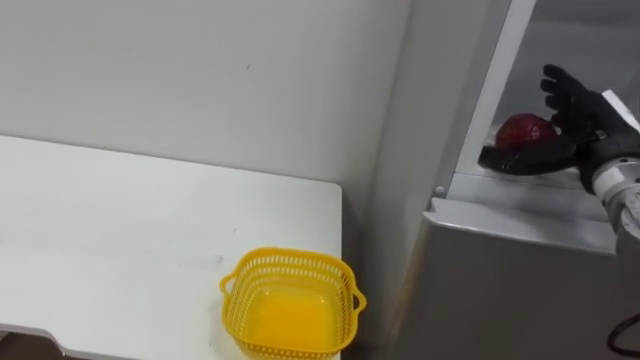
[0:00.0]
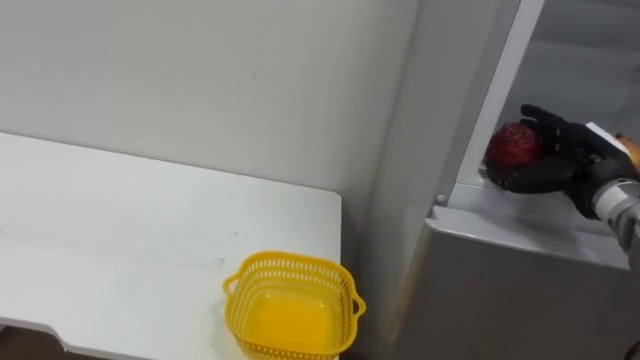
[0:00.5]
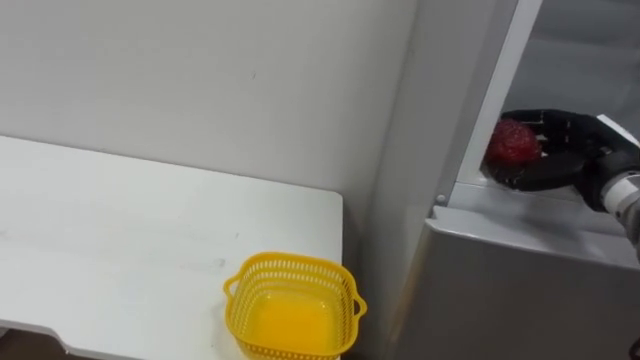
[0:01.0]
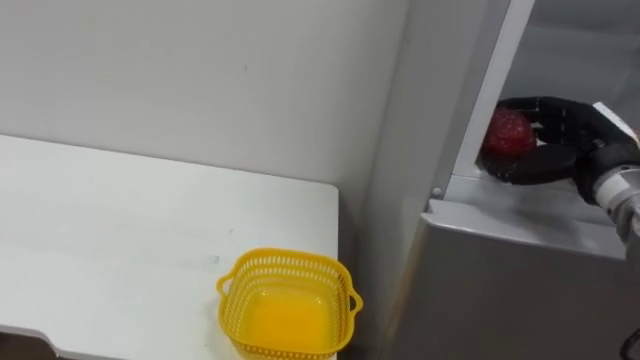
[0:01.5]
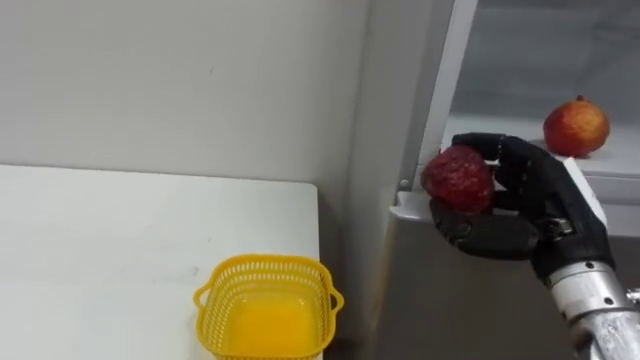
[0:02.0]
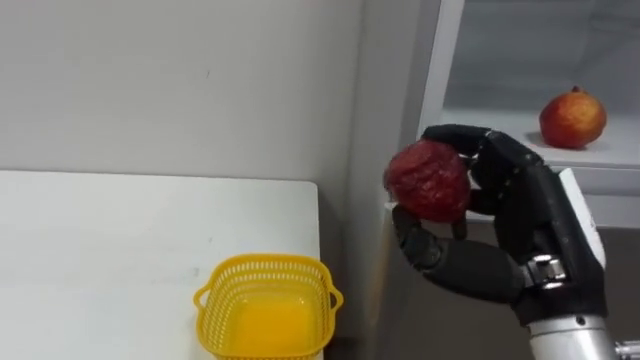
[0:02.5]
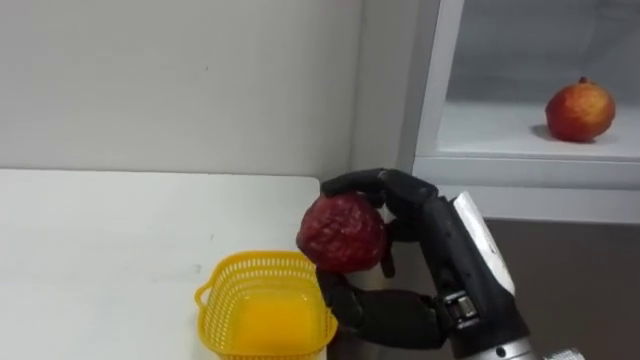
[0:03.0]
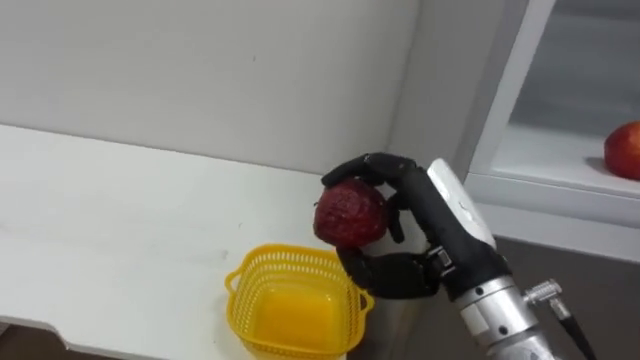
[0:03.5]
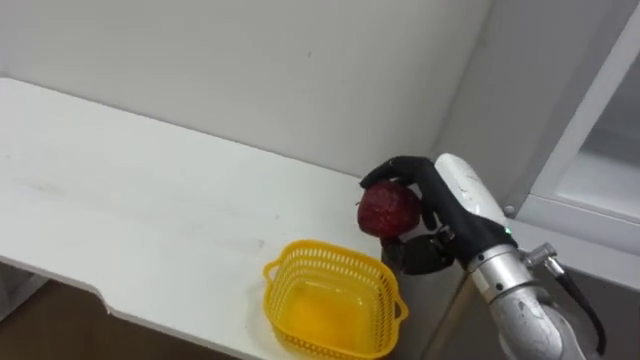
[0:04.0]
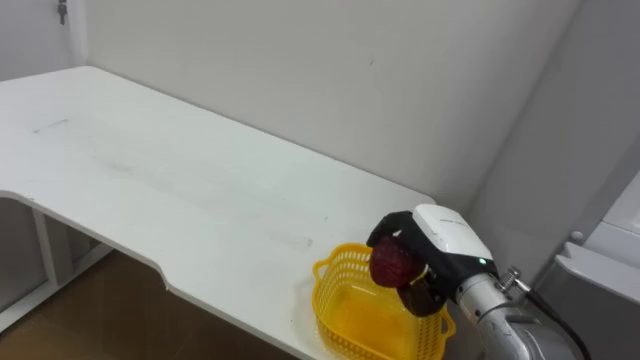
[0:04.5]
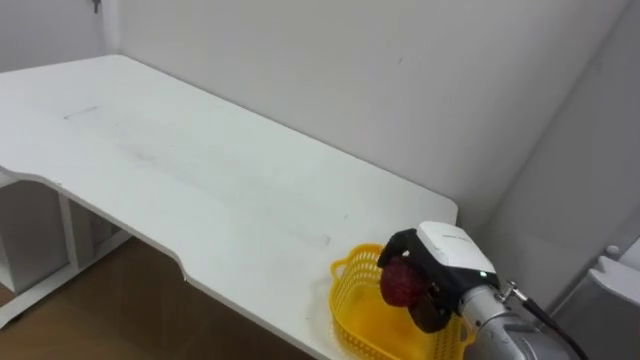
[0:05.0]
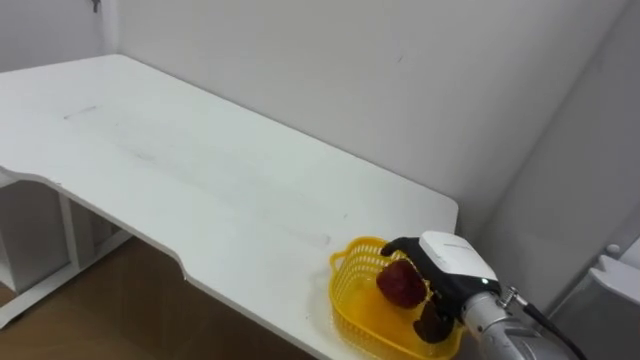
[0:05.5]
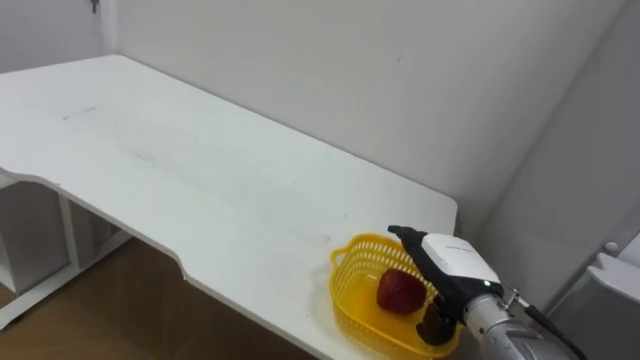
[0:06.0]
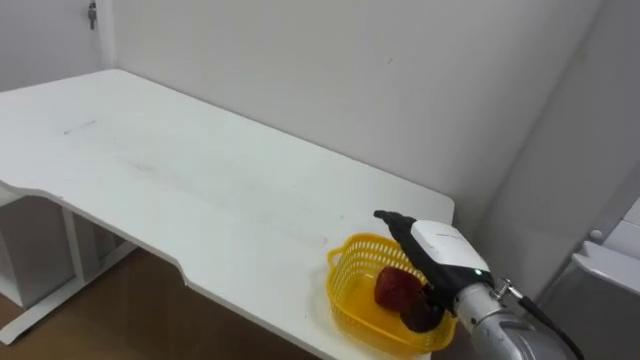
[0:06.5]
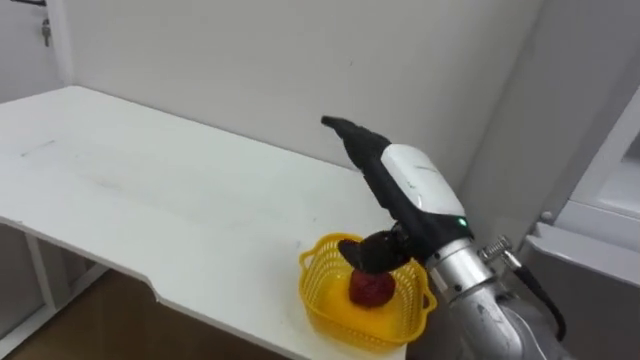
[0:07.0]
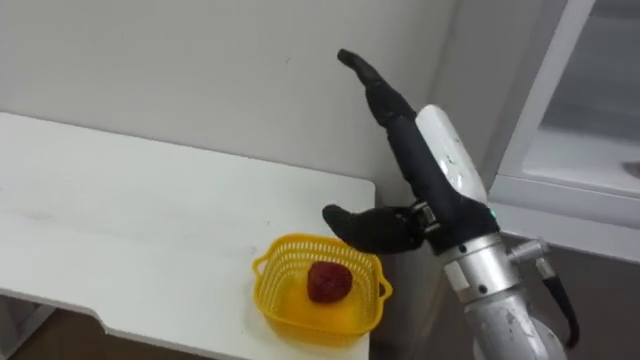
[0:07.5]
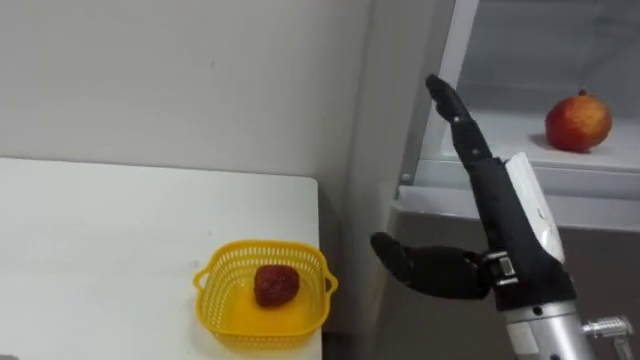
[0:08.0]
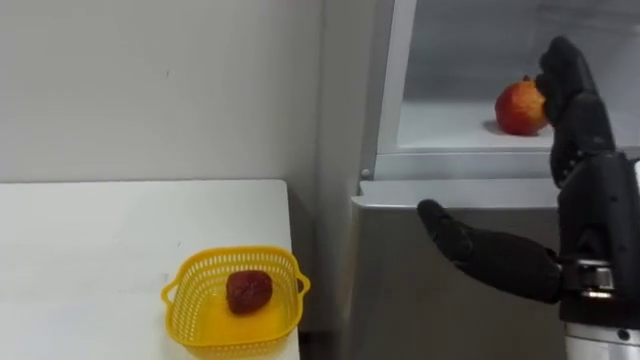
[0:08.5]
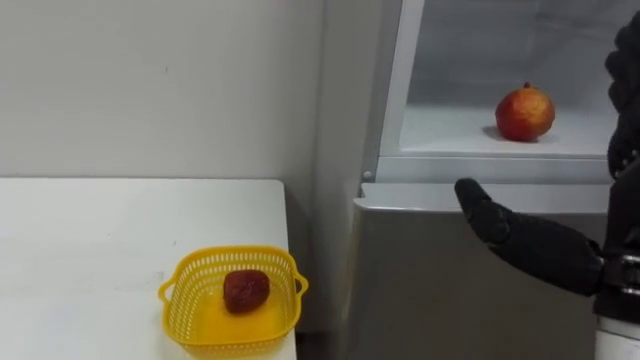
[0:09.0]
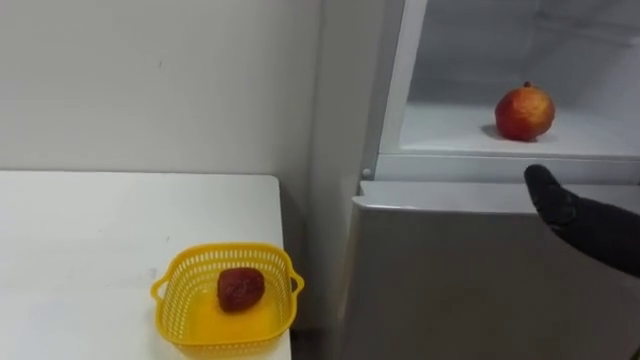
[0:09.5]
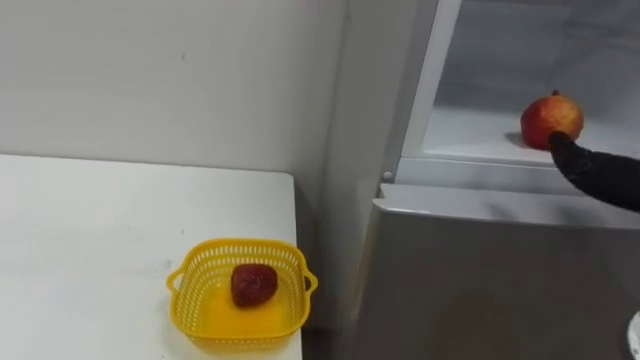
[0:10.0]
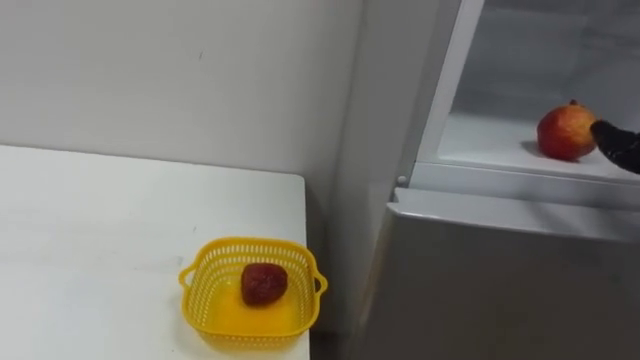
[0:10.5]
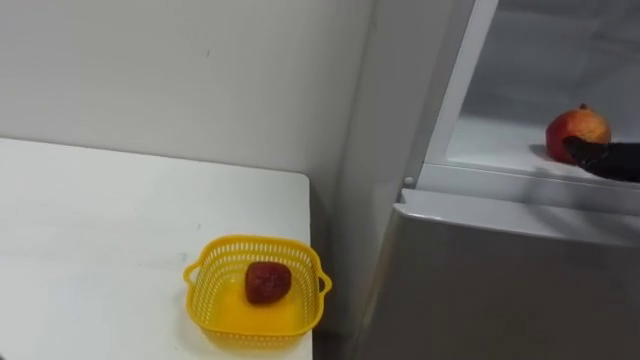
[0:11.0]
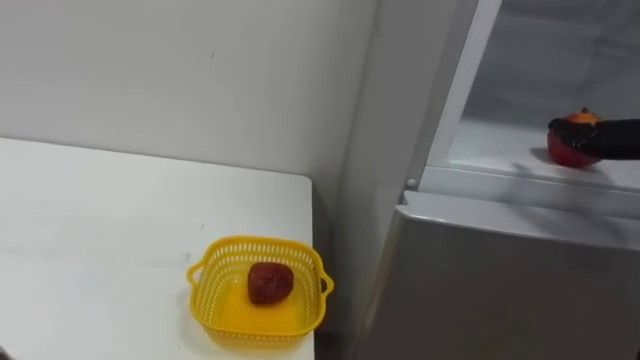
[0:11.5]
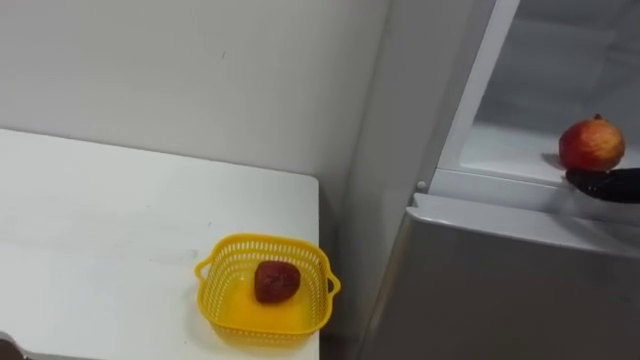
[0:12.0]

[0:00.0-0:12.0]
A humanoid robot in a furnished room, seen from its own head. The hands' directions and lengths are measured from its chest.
Task of the whole recording: Open the refrigerator door, take out the apple and the pomegranate, place them in the fruit basket on the left, and close the refrigerator door.
0:00.0 to 0:02.0: The right hand shifts some 10 cm backward and to the left, and closes up.
0:02.0 to 0:04.0: The right hand shifts roughly 10 cm to the left.
0:04.0 to 0:06.0: The right hand moves downward, approximately 10 cm, and opens its fingers.
0:06.0 to 0:08.0: The right hand travels upward and backward by roughly 20 cm.

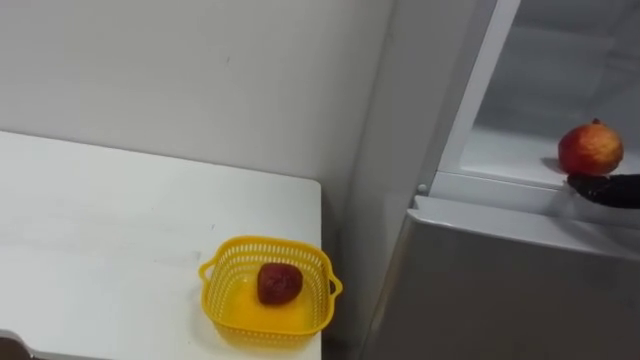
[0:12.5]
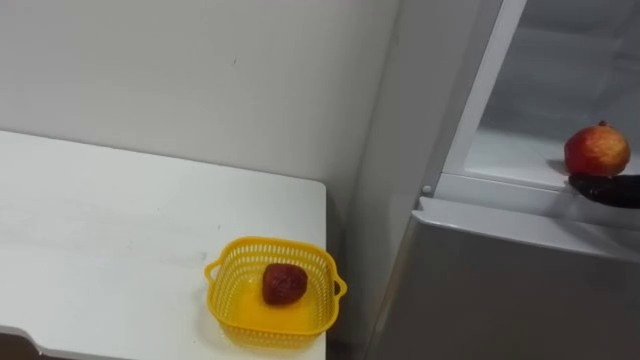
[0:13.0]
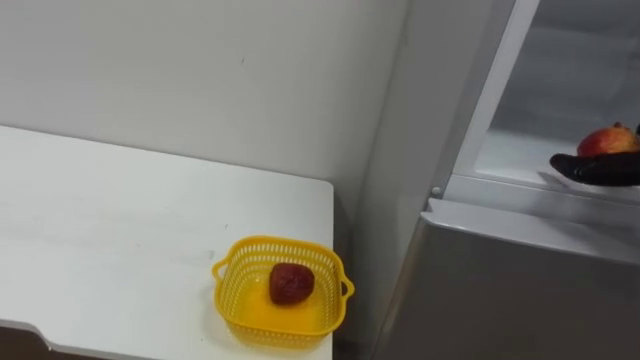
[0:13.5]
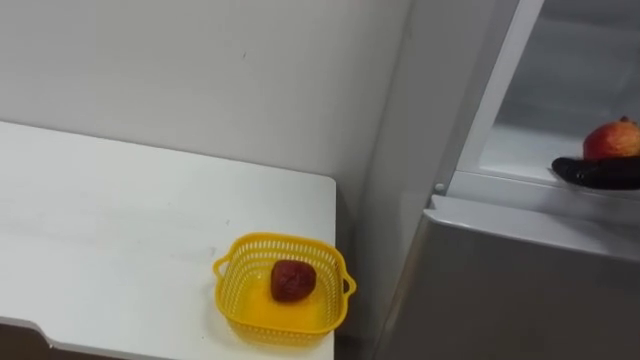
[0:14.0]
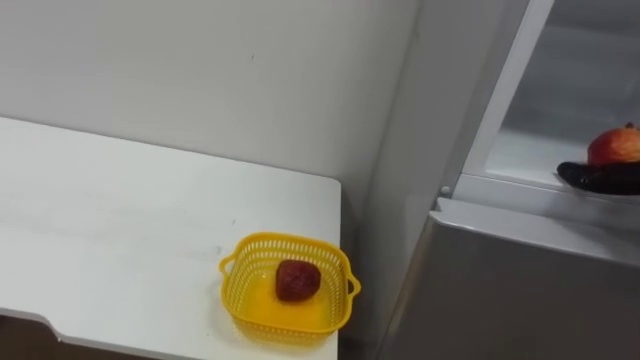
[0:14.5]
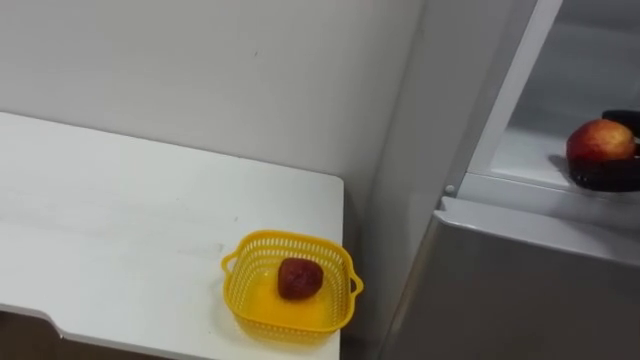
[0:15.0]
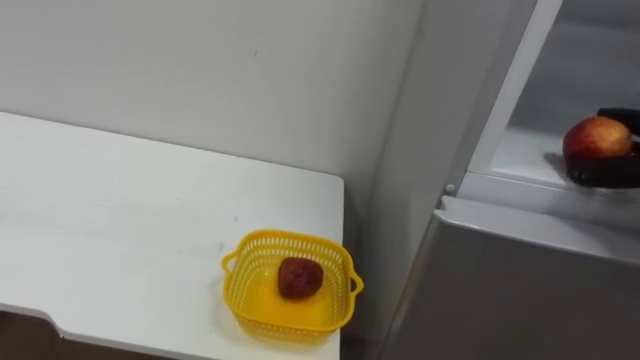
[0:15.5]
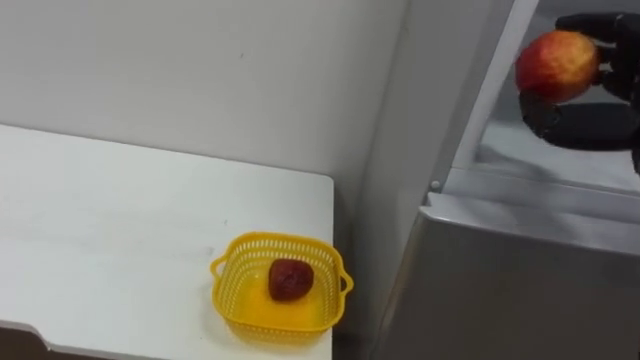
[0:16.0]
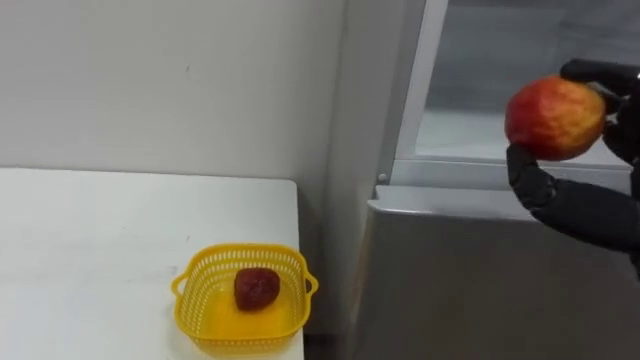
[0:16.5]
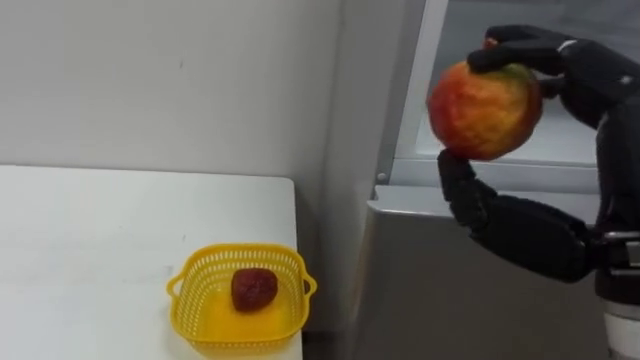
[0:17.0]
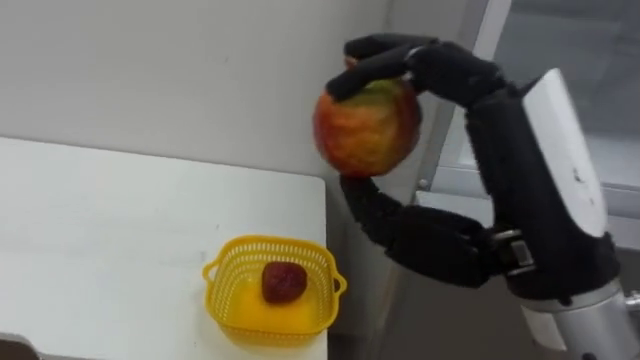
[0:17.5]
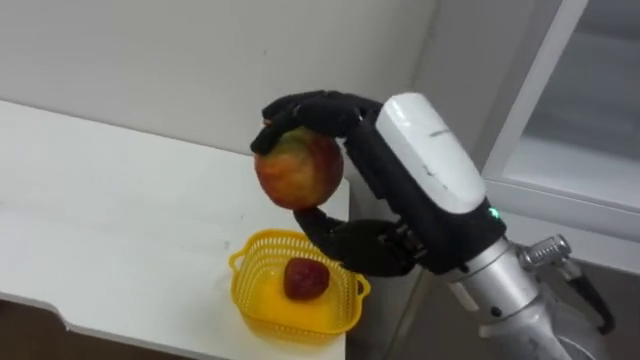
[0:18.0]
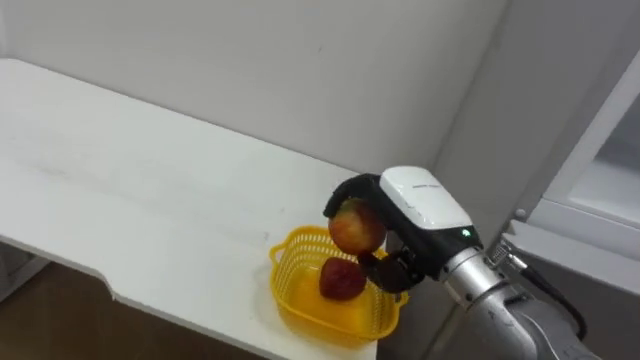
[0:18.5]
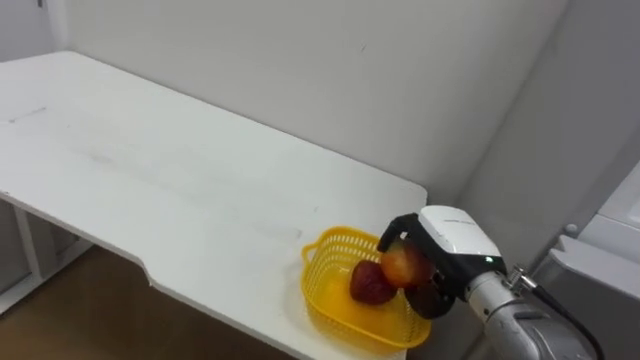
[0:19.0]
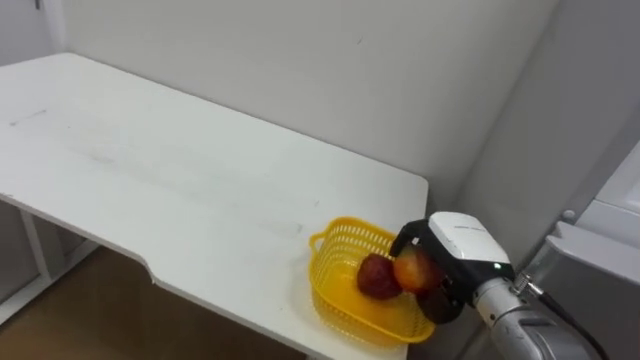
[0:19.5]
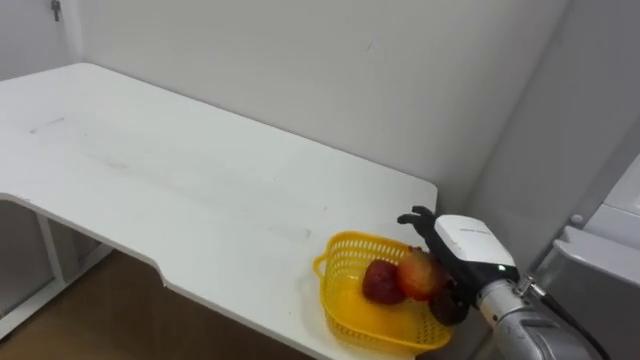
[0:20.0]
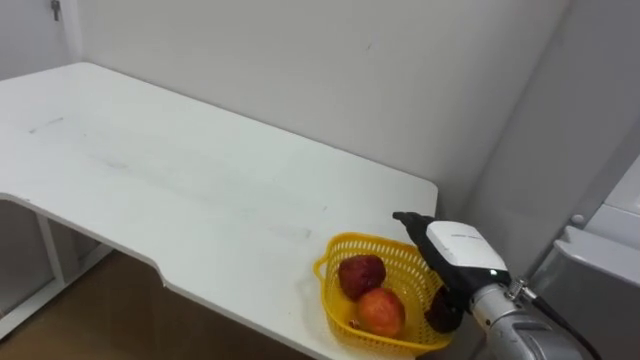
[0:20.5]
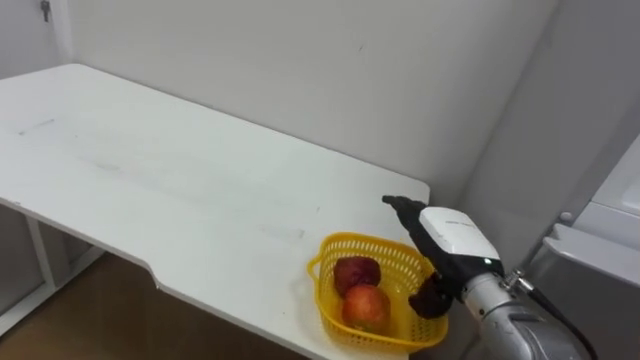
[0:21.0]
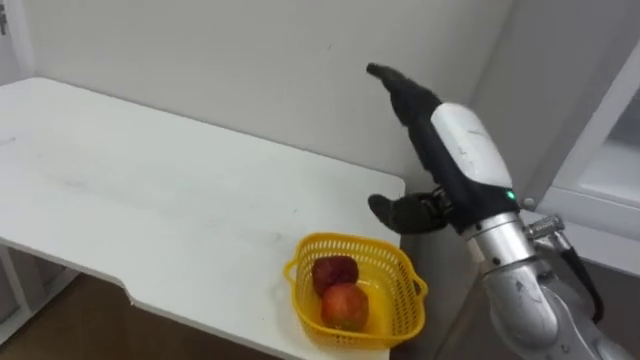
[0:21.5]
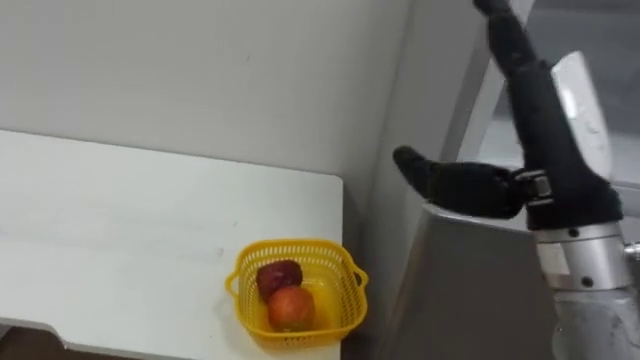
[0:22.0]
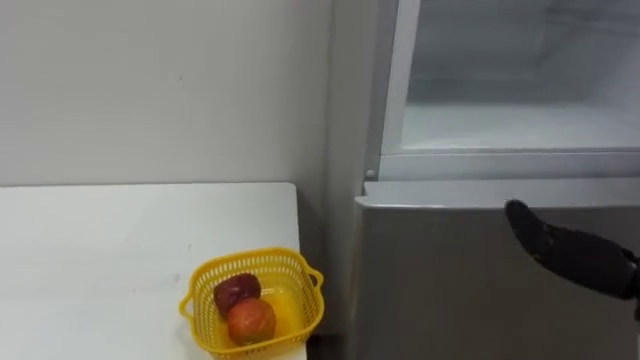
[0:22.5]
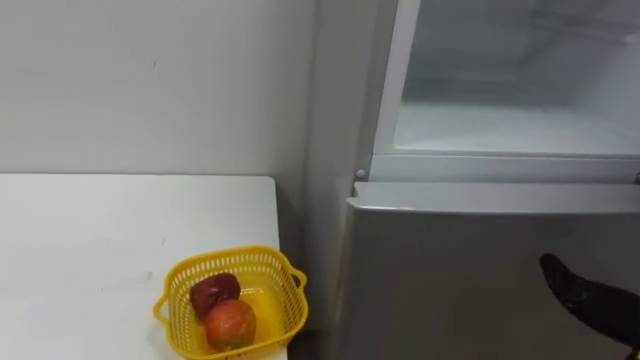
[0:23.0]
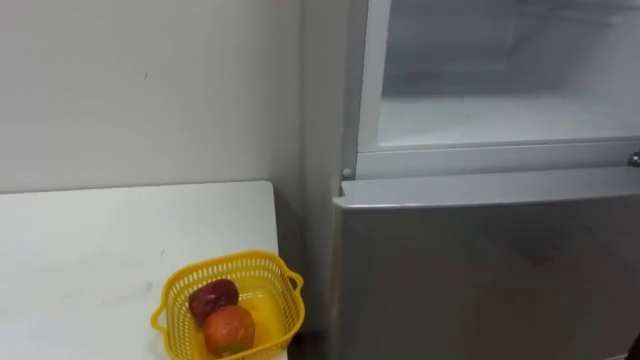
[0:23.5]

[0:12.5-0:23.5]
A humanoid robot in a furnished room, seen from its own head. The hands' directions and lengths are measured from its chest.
Task of the whole recording: Open the refrigerator door, take out the apple and the pomegranate, place them in the fruit basket on the left, and close the refrigerator door.
0:18.0 to 0:20.0: The right hand goes roughly 25 cm downward, forward and to the right, and opens.
0:20.0 to 0:21.5: The right hand goes about 15 cm upward.
